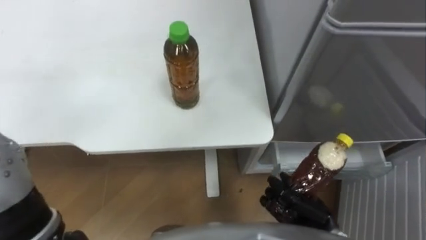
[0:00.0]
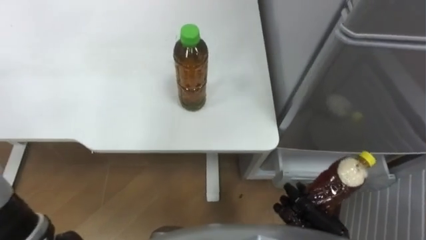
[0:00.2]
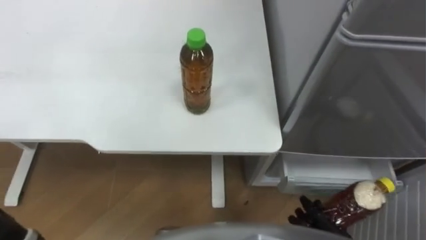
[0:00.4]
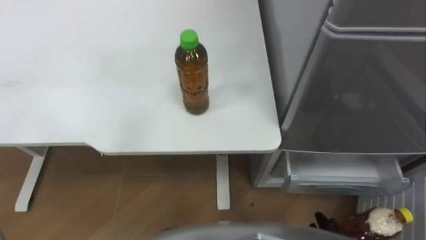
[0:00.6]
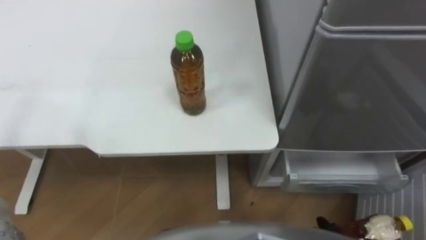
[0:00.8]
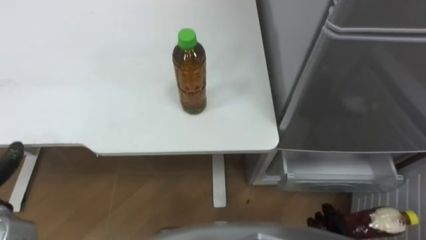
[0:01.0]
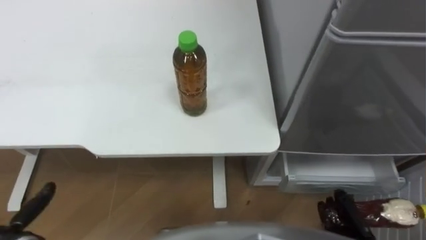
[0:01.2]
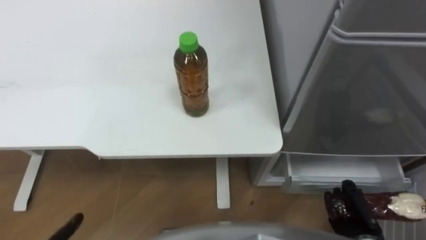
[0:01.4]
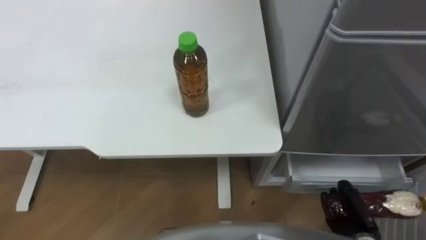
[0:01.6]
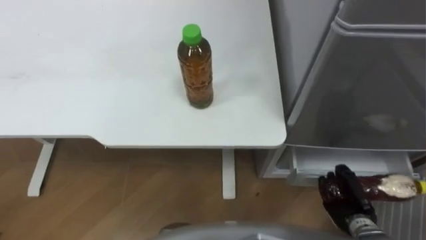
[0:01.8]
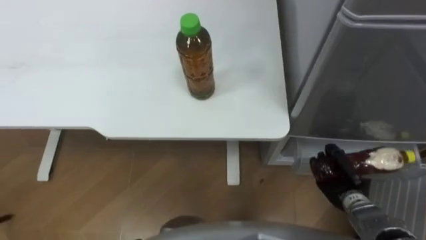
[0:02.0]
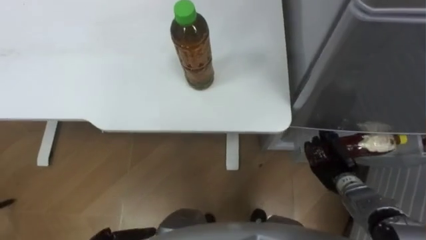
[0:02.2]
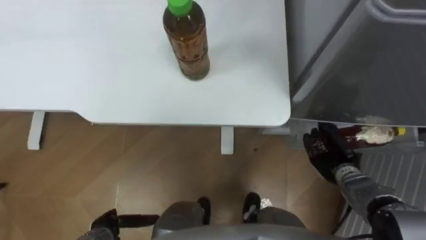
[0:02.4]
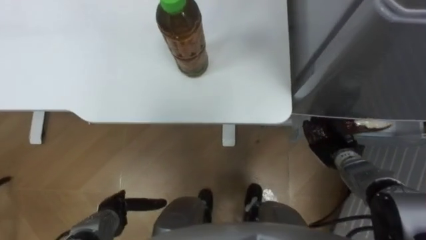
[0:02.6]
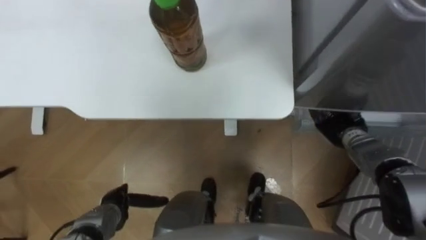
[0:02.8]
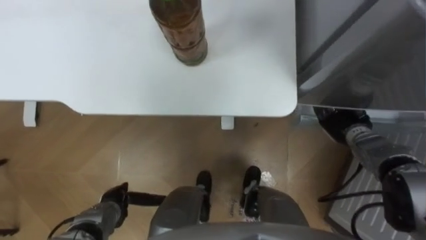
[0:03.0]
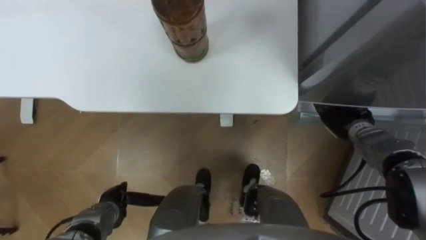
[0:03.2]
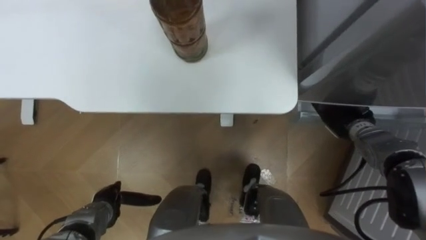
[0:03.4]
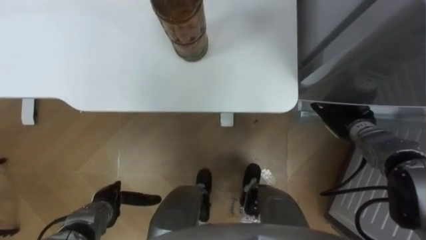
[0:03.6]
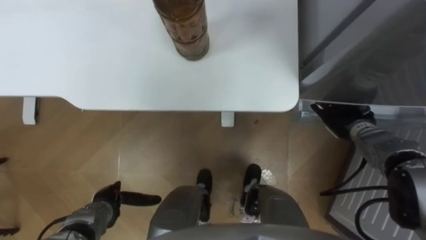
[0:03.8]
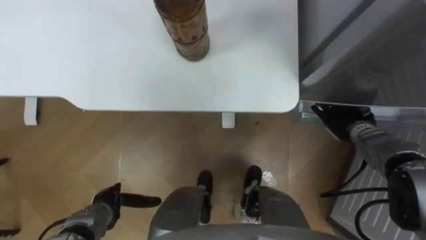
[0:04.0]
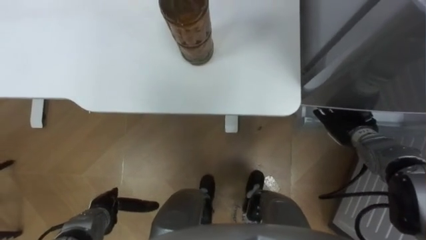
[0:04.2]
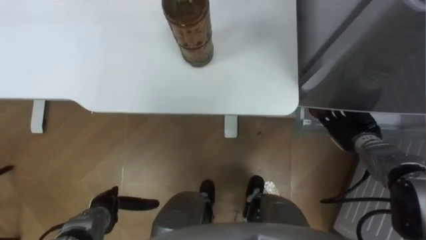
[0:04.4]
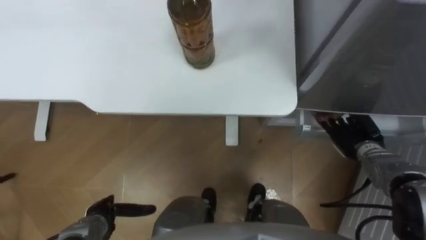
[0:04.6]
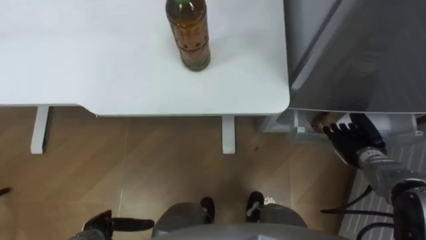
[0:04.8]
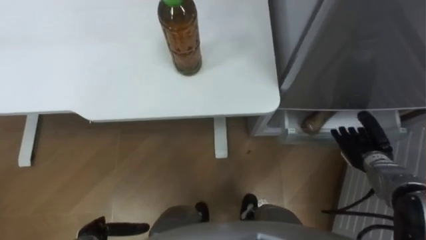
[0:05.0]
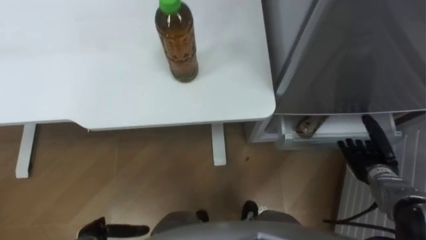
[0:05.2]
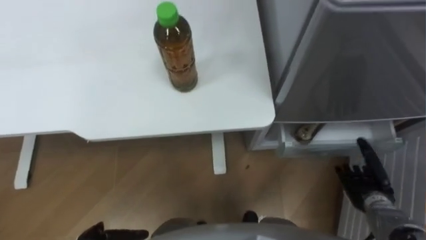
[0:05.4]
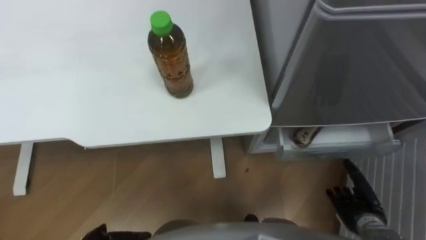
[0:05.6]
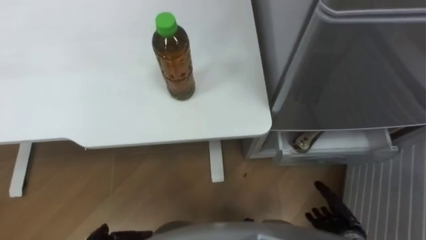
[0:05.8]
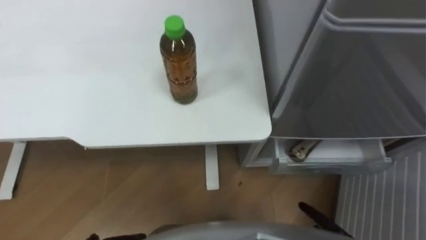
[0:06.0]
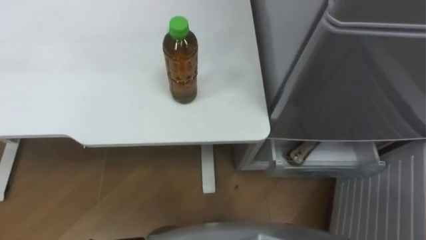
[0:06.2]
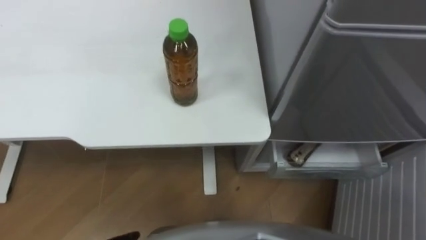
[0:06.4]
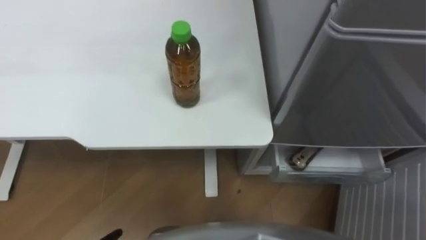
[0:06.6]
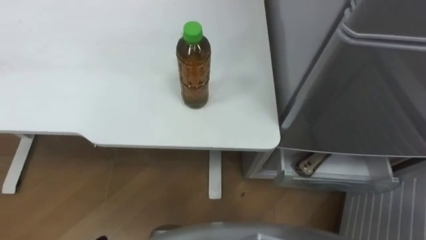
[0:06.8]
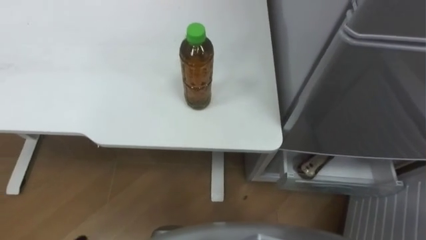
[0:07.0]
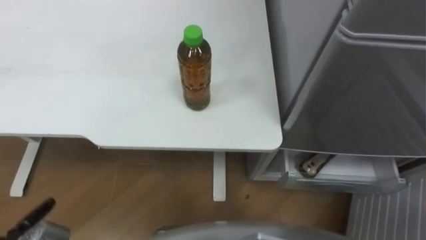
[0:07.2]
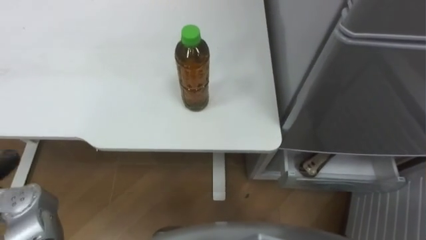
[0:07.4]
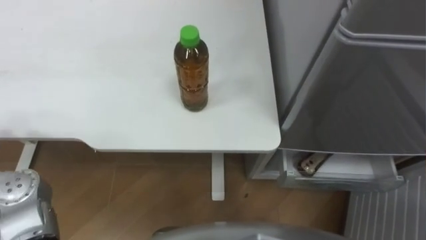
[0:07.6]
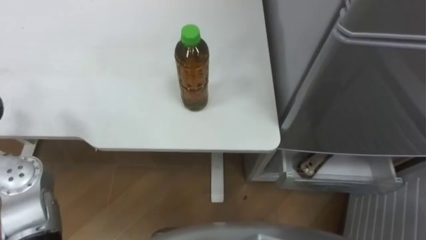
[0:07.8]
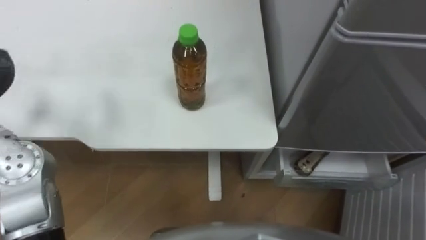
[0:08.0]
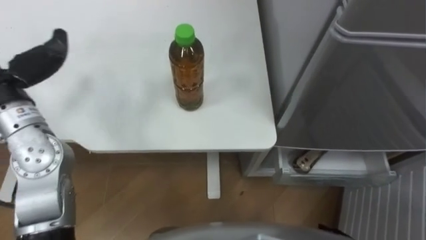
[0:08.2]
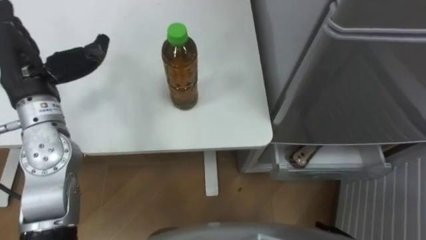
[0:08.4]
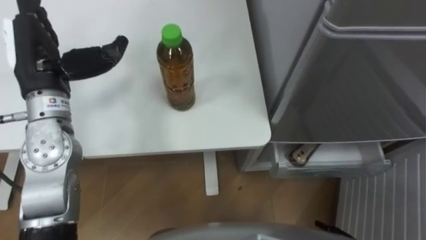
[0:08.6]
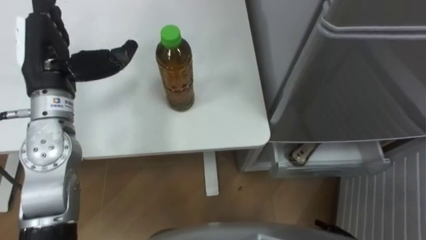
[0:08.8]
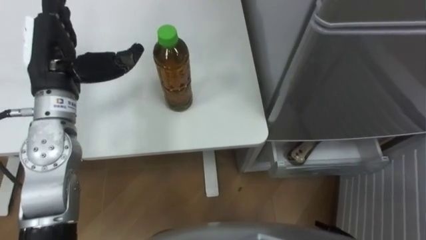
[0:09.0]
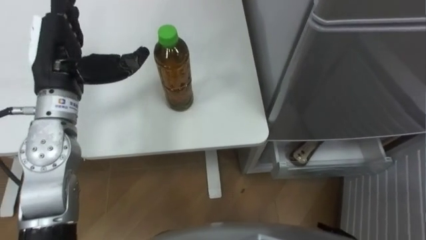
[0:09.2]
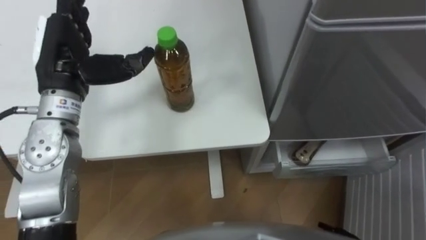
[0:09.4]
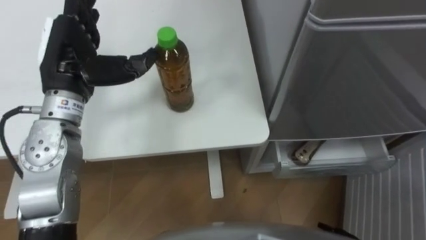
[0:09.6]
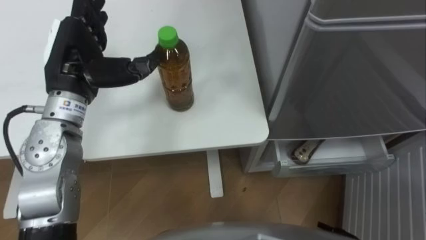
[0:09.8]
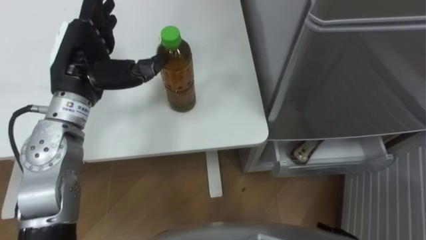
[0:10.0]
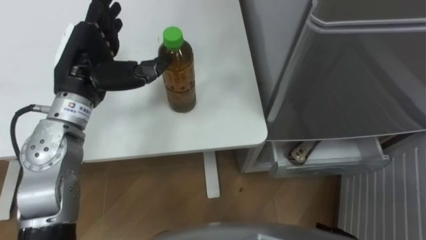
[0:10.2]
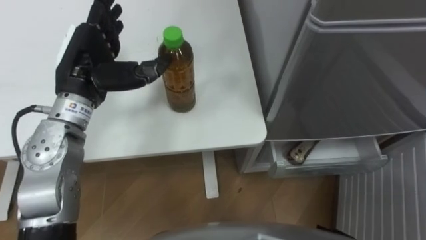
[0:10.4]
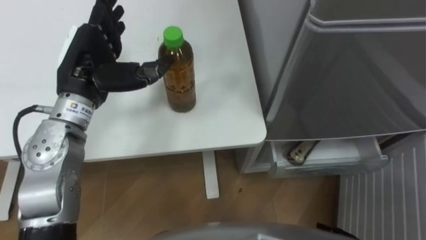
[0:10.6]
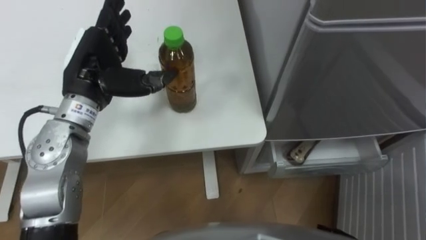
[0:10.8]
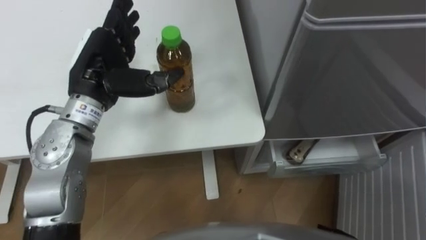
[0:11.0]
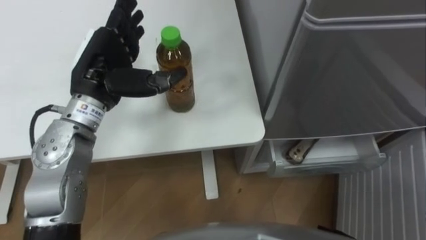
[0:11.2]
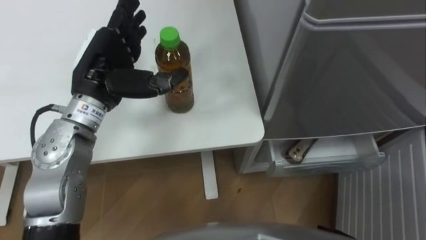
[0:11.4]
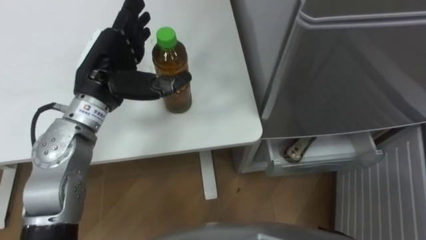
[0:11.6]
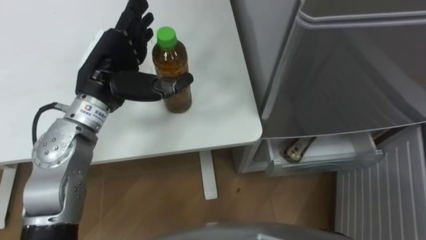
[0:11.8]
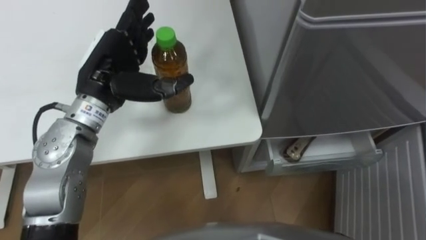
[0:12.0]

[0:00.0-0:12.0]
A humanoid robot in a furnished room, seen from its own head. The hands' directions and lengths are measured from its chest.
Task of the whole recording: Place the drink on the table on the bottom shelf of the refrigerator, then close the drawer and the refrigerator door.
0:01.6 to 0:03.0: The right hand heads forward, covering some 20 cm.
0:03.0 to 0:04.4: The right hand opens its fingers.

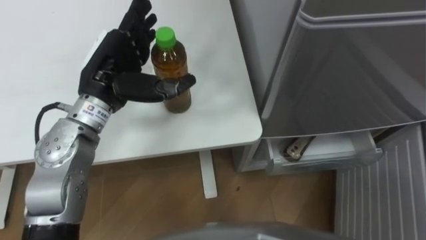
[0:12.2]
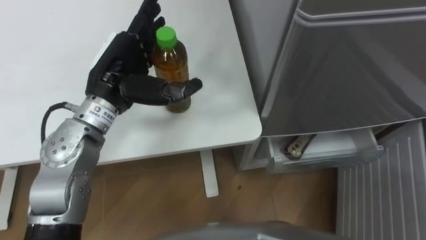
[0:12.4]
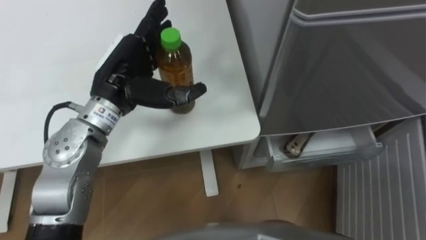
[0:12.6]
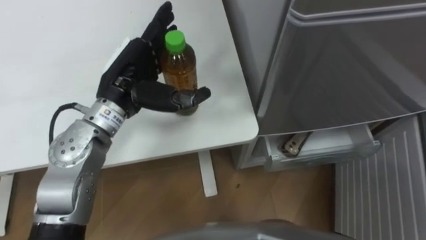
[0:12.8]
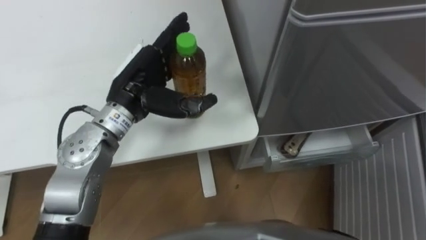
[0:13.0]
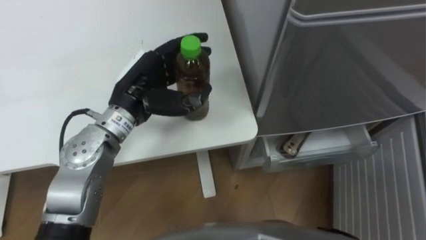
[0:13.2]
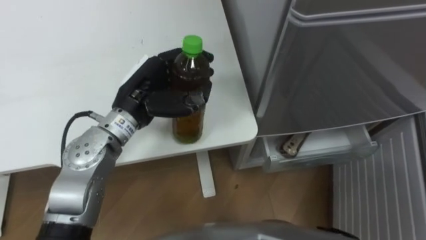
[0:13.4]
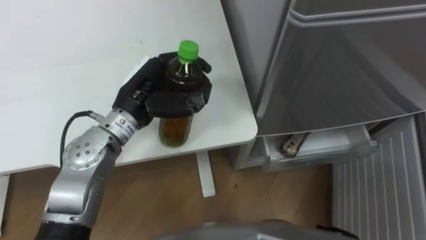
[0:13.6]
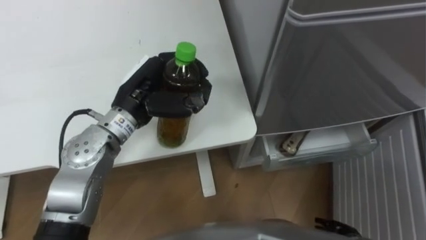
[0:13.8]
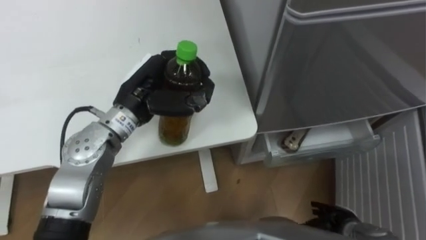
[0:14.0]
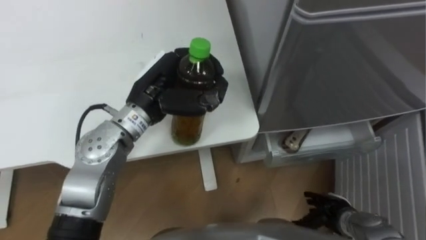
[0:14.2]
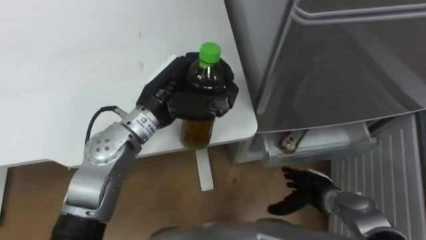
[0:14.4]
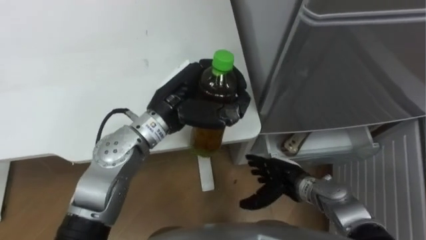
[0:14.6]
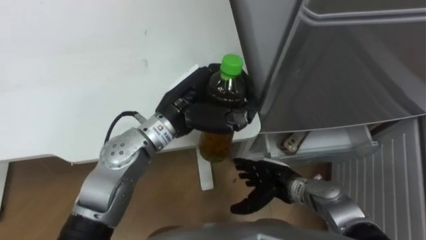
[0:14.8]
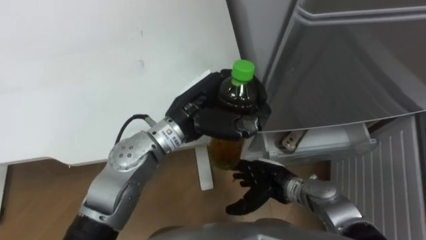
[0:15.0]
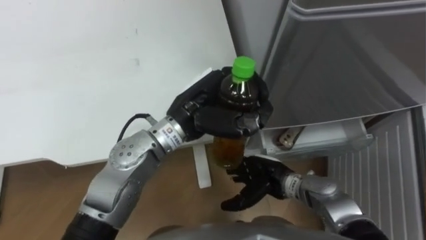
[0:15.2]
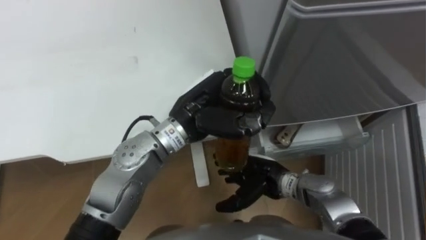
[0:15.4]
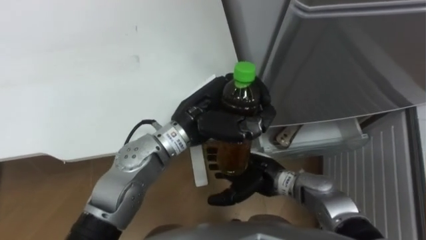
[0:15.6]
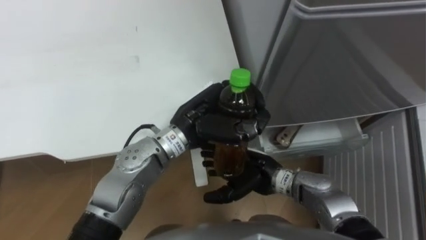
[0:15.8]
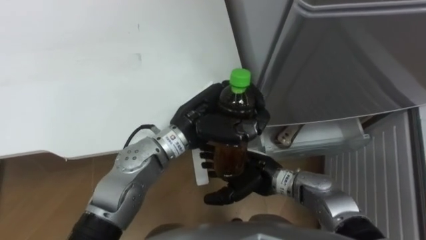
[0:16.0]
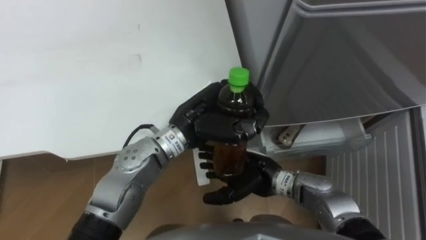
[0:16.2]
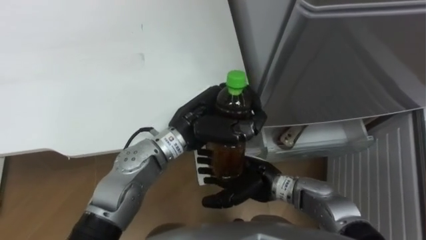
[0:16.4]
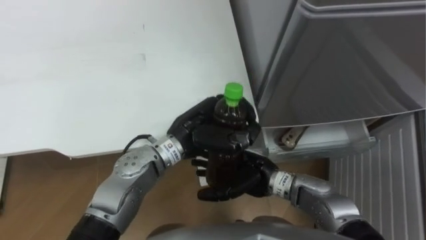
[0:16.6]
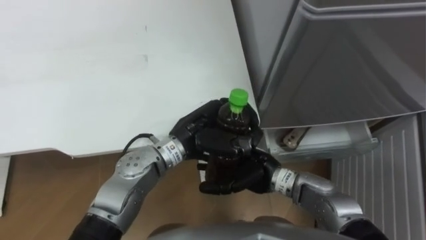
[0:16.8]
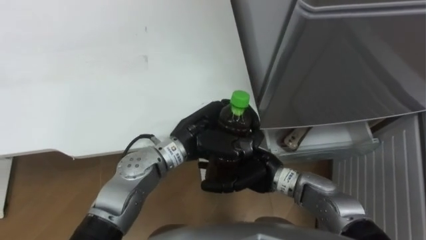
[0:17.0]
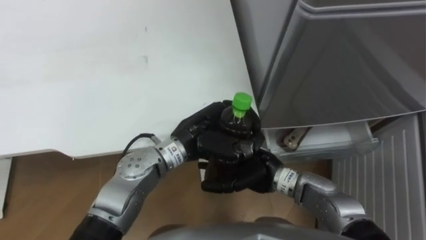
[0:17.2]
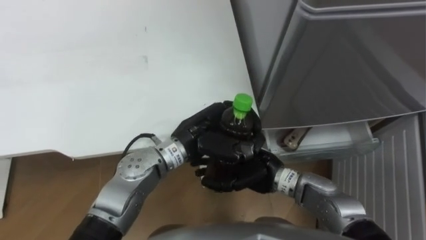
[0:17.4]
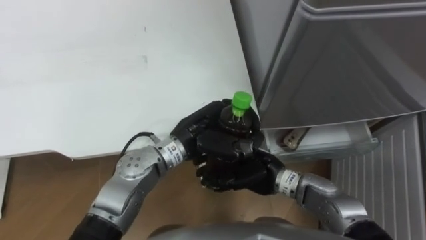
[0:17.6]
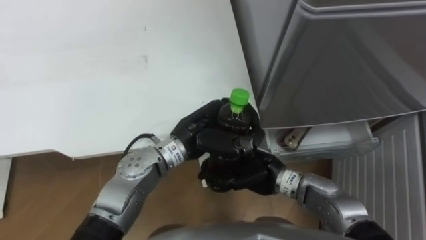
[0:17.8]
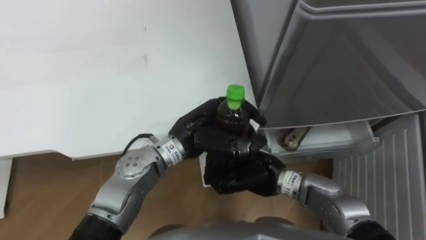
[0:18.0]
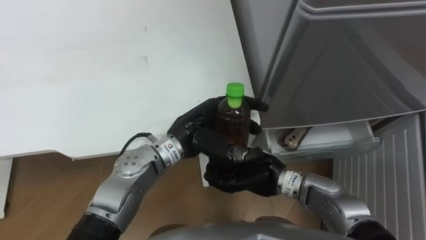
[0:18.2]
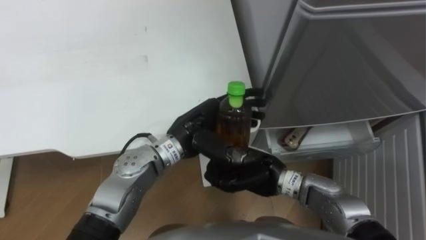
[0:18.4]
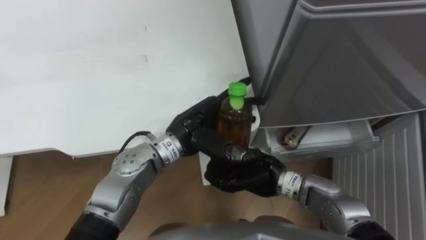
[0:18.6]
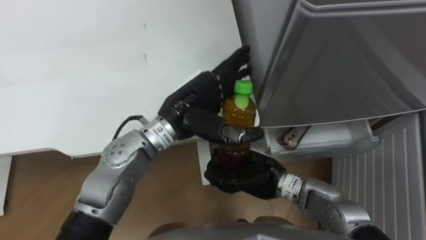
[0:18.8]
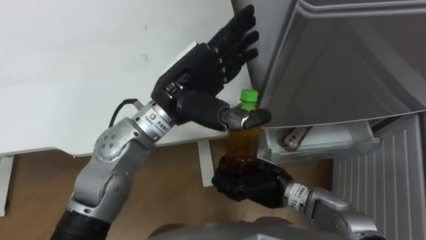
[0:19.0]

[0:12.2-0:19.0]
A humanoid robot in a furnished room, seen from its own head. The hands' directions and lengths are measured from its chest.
Task of the whole recording: Place the drink on the table on the bottom shelf of the refrigerator, then close the drawer and the refrigerator door.
0:12.2 to 0:13.6: The left hand changes place by roughly 5 cm, and closes.
0:13.6 to 0:15.0: The left hand travels to the right by approximately 10 cm.
0:15.0 to 0:16.2: The right hand shifts by roughly 5 cm.
0:16.2 to 0:17.6: The right hand closes its fingers.
0:17.6 to 0:19.0: The right hand closes its fingers, while the left hand goes roughly 10 cm upward, and opens its fingers.
